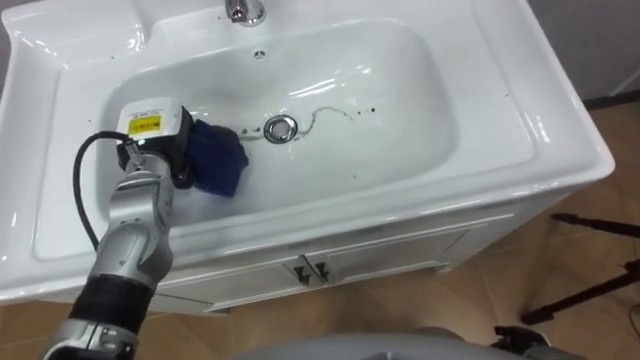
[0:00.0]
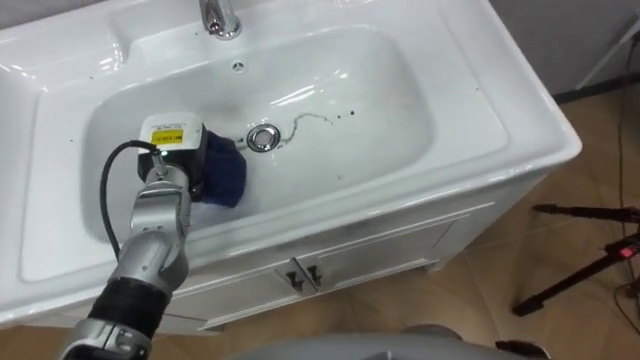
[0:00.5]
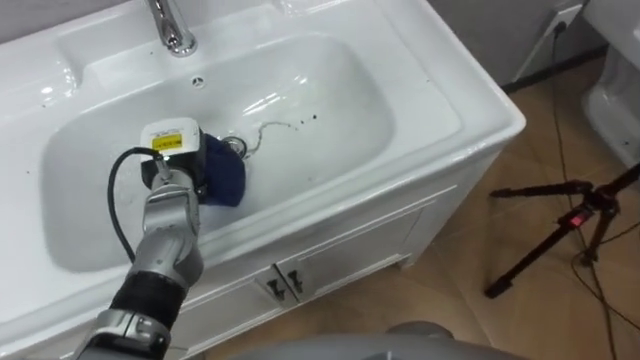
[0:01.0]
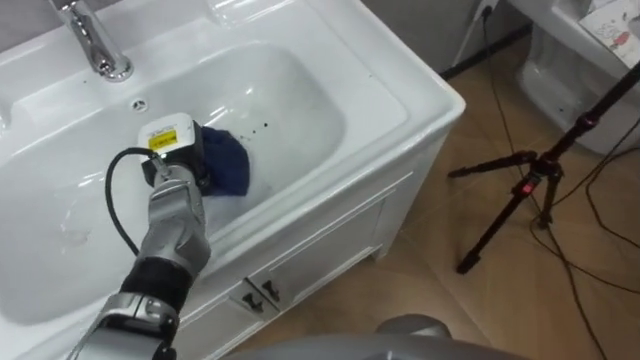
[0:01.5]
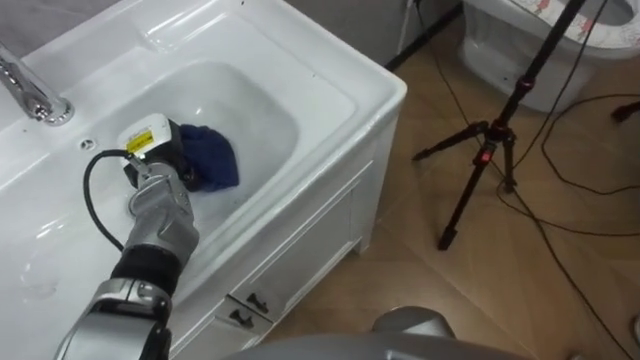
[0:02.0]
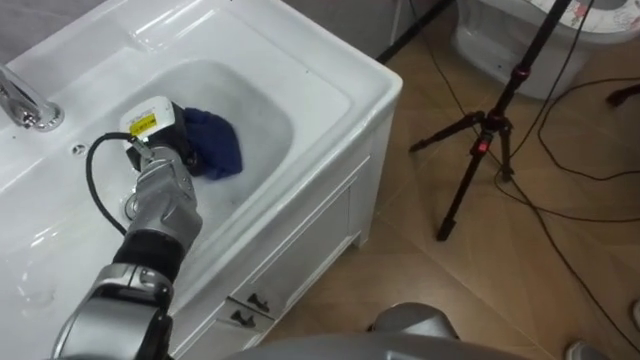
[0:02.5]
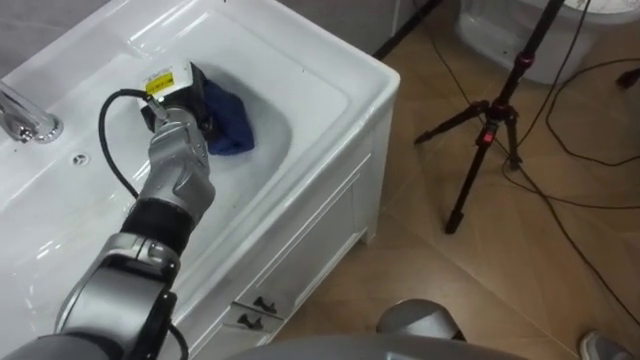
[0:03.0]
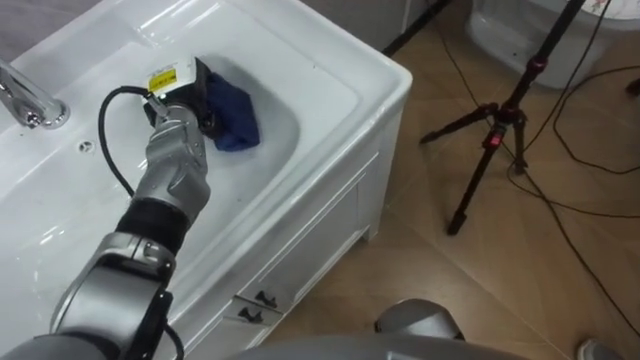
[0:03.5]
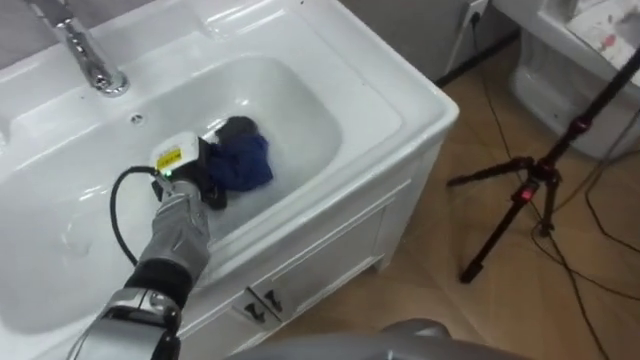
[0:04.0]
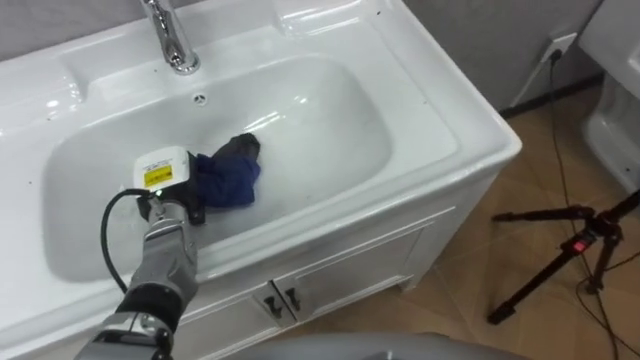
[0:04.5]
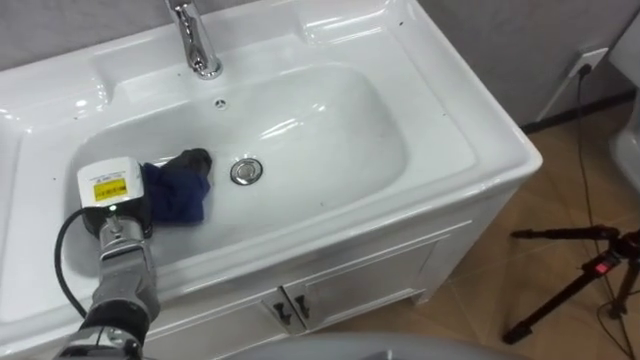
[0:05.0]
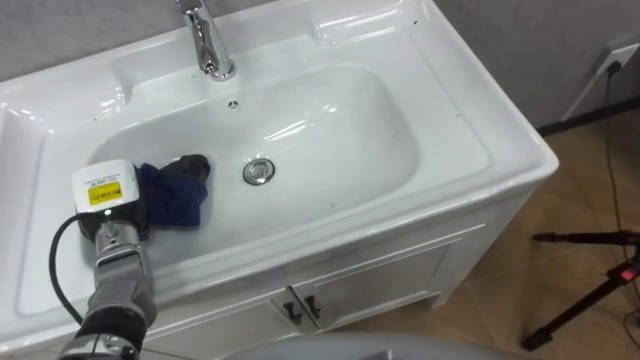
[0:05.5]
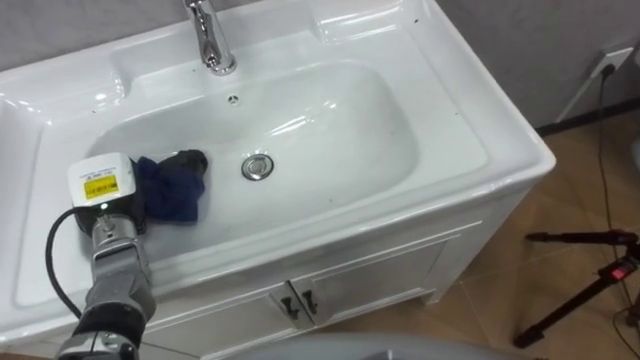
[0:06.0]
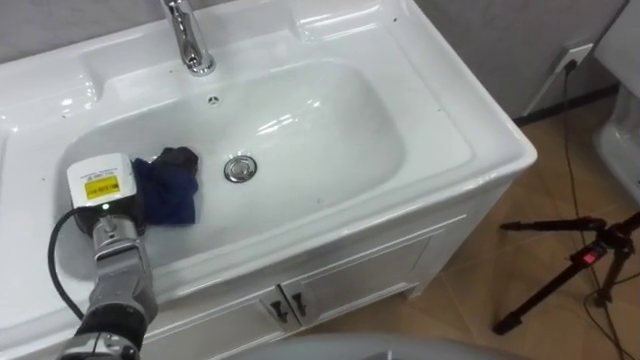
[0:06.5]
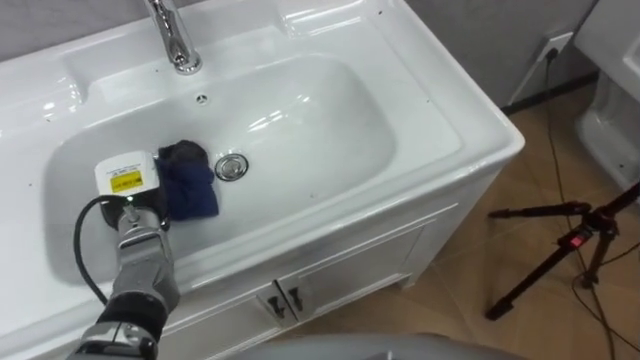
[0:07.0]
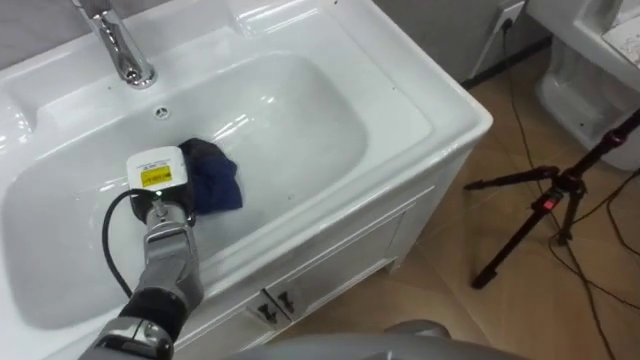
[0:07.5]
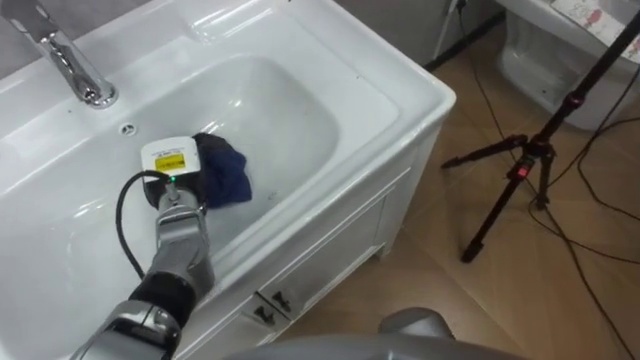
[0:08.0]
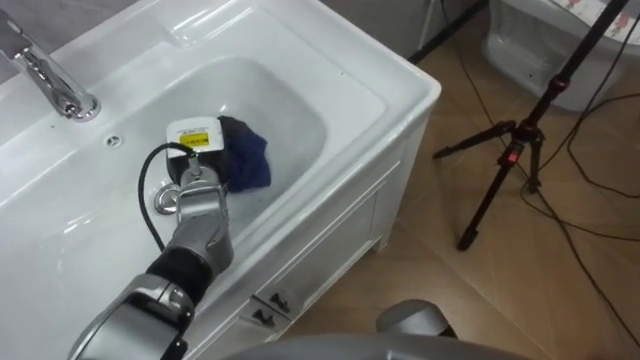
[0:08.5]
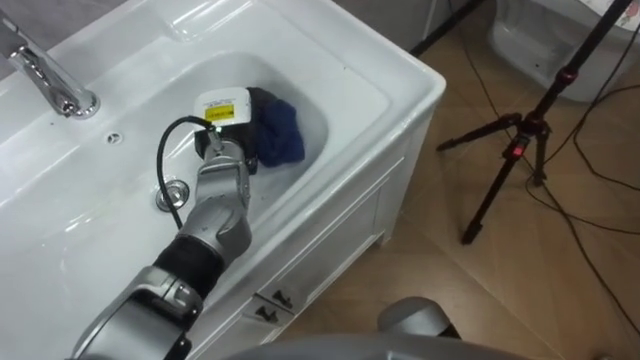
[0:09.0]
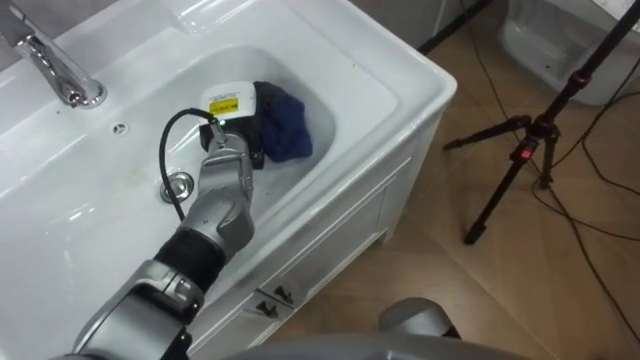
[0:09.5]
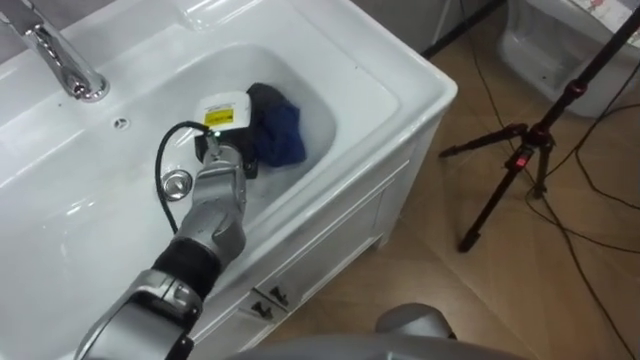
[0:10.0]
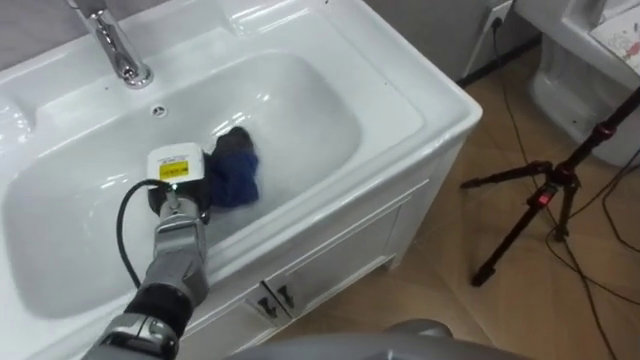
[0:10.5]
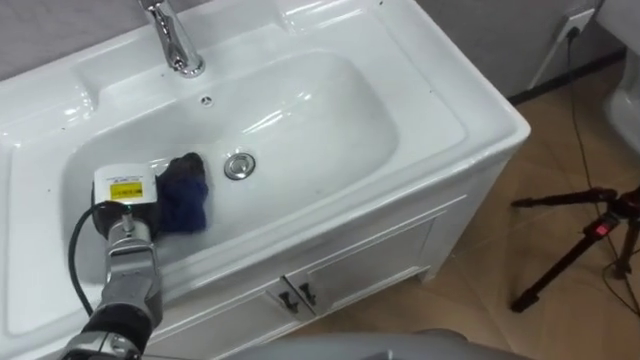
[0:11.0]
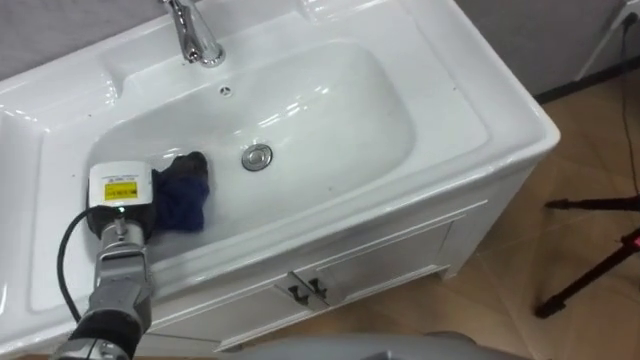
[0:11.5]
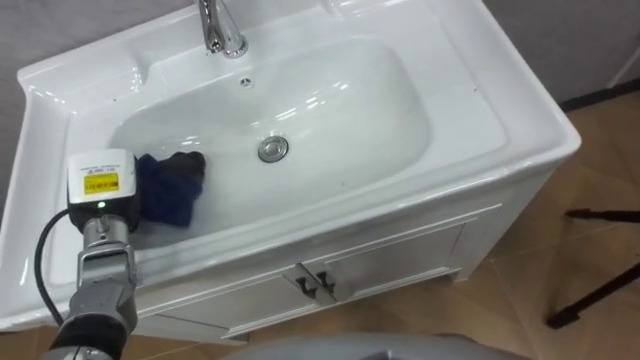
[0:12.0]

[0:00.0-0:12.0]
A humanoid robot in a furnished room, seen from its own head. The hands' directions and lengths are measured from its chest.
Task of the whole recording: Use the cloth on the right to wipe away the black stain in the sink.
0:02.0 to 0:04.0: The left hand goes upward and returns, some 5 cm each way.
0:04.0 to 0:06.0: The left hand goes approximately 10 cm to the left and backward.
0:06.0 to 0:08.0: The left hand moves to the right, some 10 cm.
0:08.0 to 0:10.0: The left hand goes roughly 10 cm to the right and forward.
0:10.0 to 0:12.0: The left hand heads to the left and backward, covering roughly 20 cm.

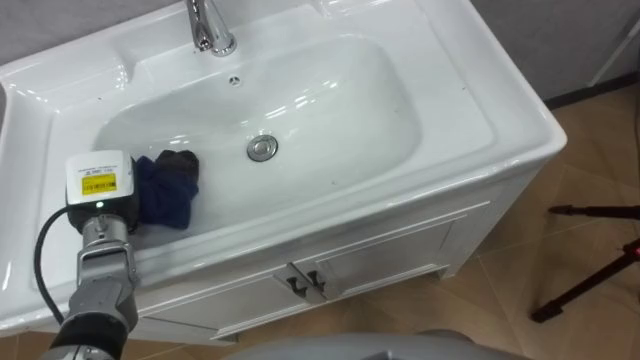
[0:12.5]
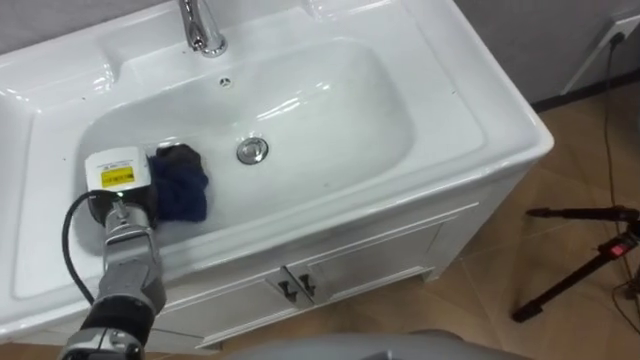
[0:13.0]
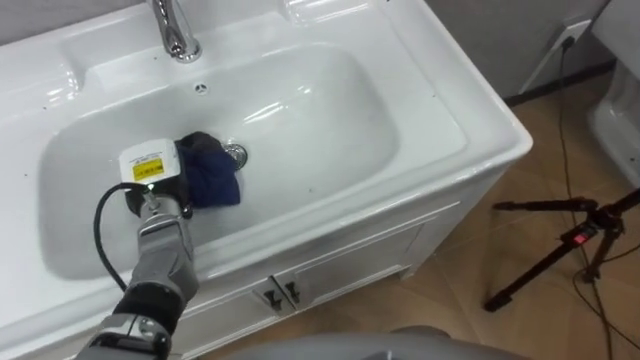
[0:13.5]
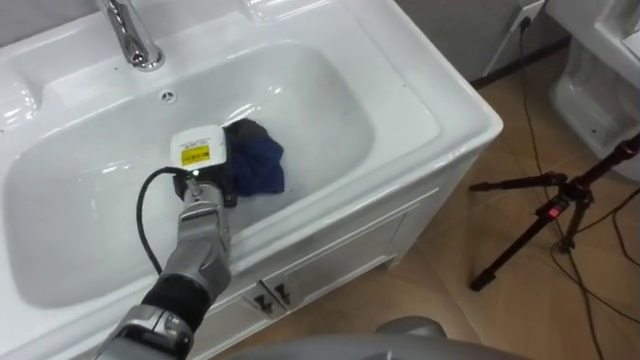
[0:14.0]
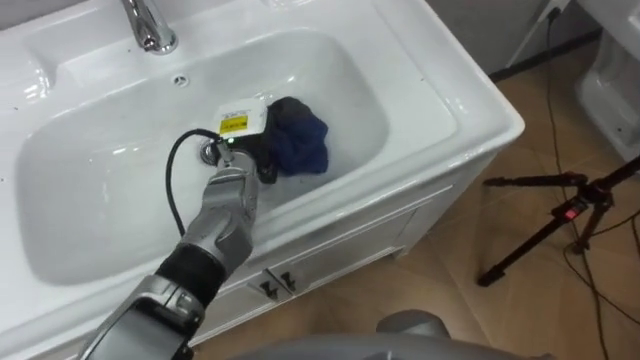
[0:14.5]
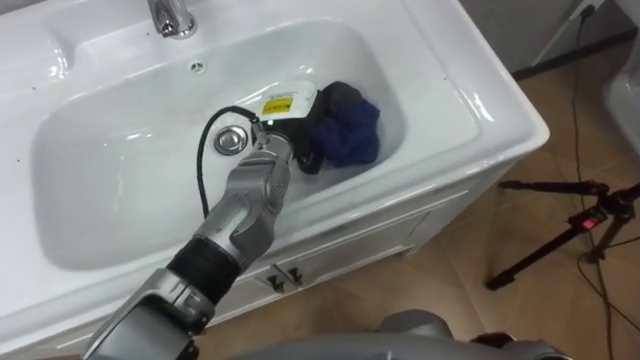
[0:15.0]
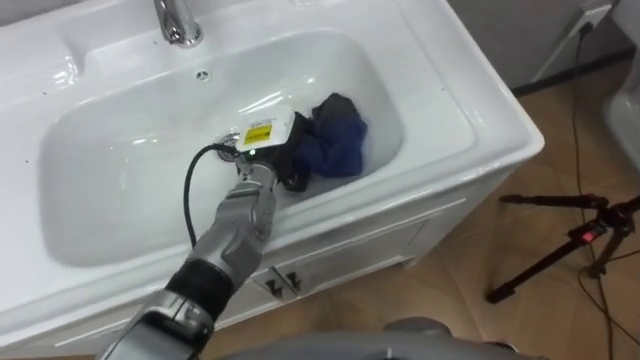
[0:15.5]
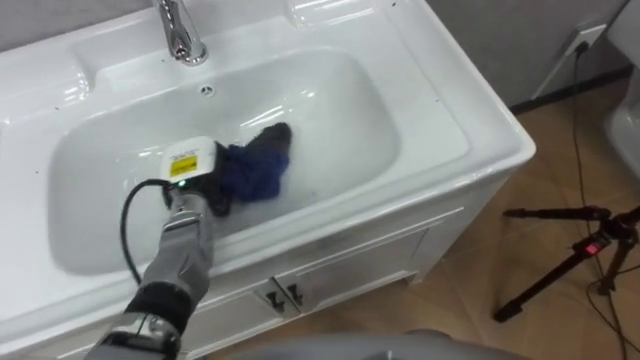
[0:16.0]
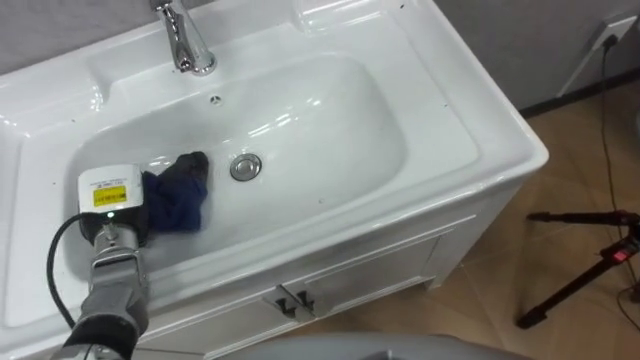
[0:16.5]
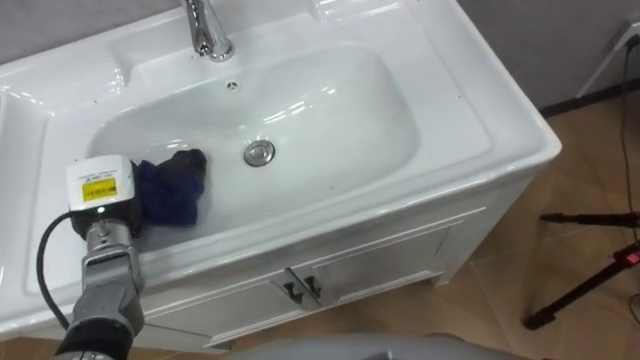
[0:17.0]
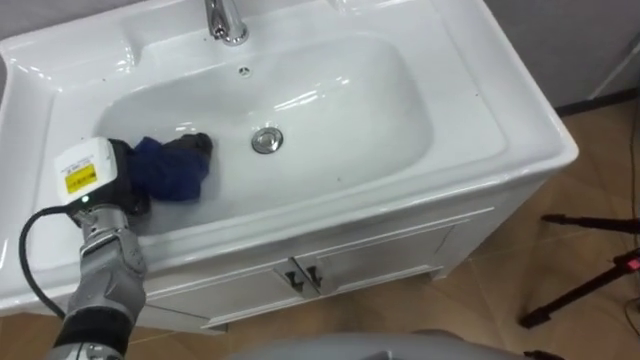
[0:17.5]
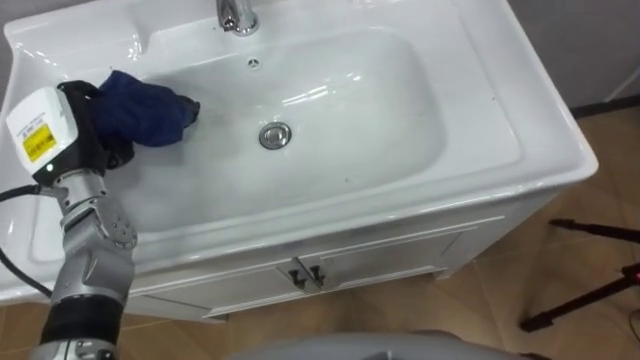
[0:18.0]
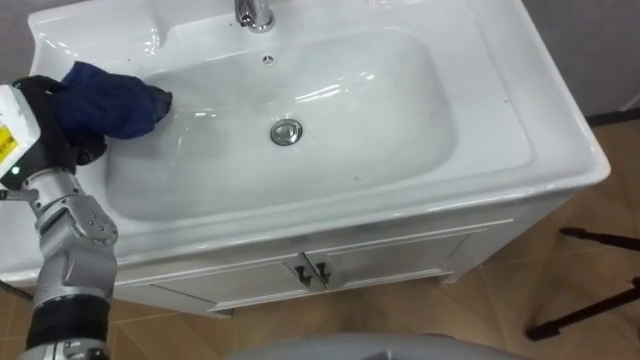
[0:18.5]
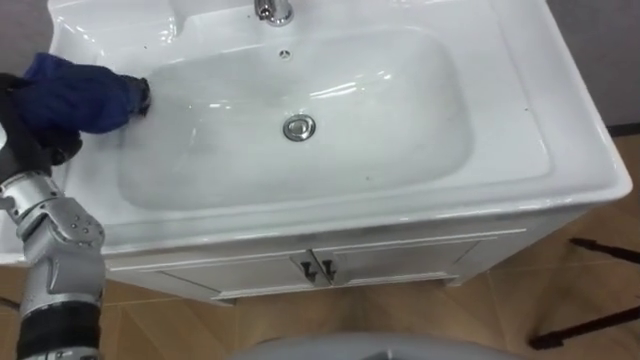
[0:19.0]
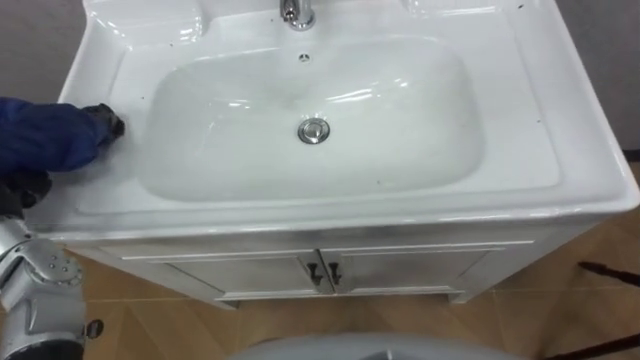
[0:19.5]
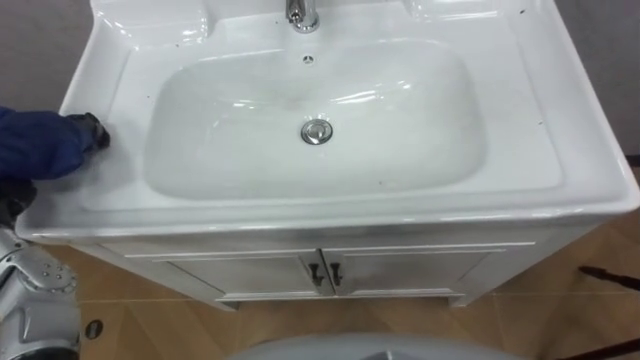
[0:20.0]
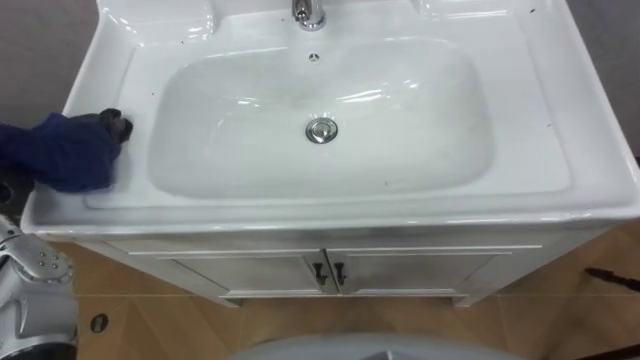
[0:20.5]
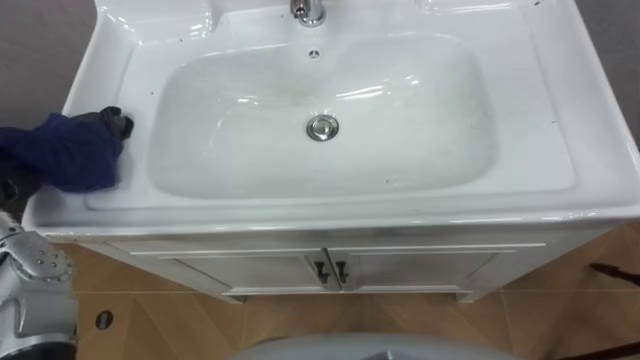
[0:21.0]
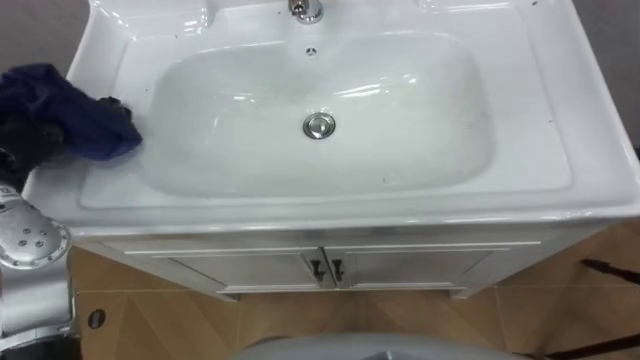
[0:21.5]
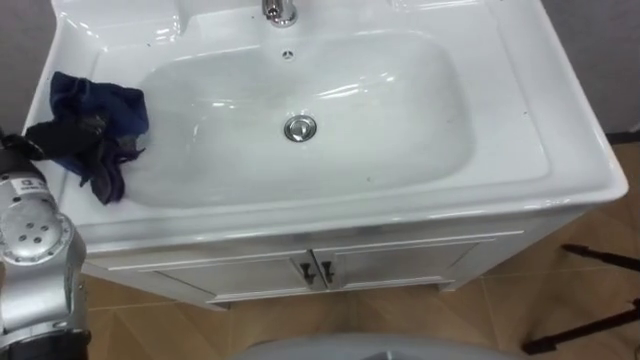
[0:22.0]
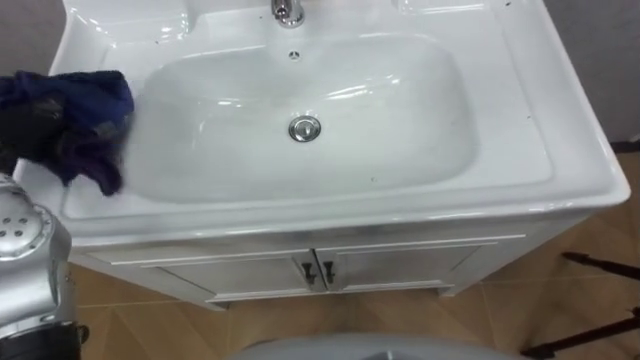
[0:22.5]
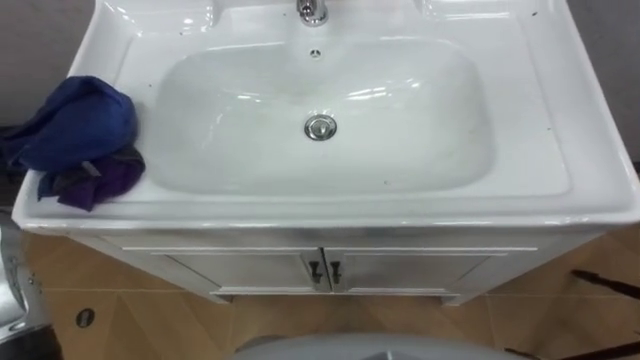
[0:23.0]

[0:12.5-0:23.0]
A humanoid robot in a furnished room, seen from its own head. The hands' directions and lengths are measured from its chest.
Task of the whole recording: Use the cloth on the right to wipe away the black stain in the sink.
0:12.5 to 0:14.5: The left hand is displaced to the right and forward by about 20 cm.
0:14.5 to 0:16.5: The left hand is displaced to the left and backward by about 20 cm.
